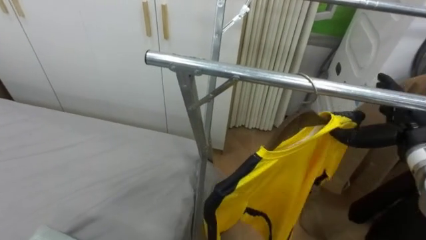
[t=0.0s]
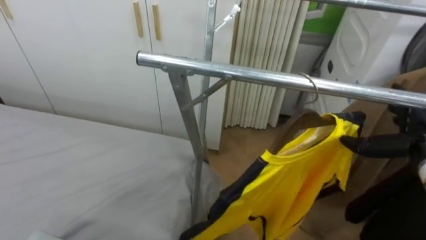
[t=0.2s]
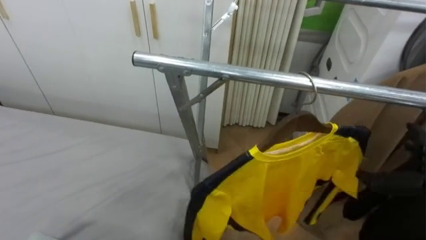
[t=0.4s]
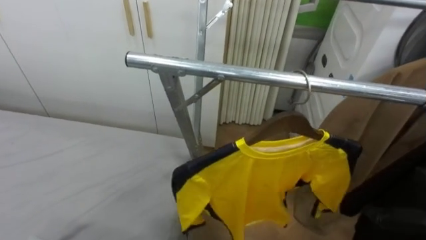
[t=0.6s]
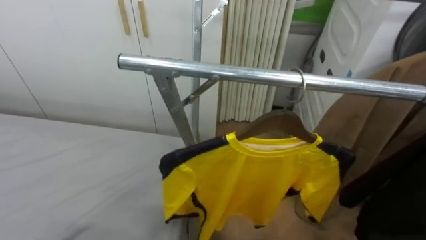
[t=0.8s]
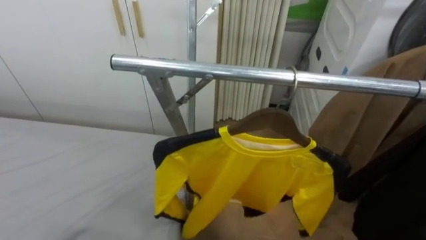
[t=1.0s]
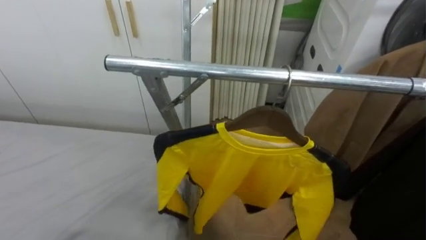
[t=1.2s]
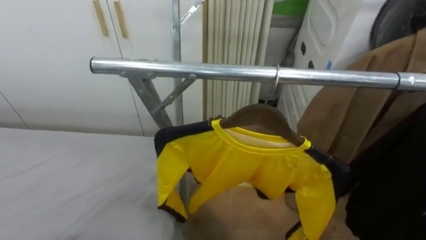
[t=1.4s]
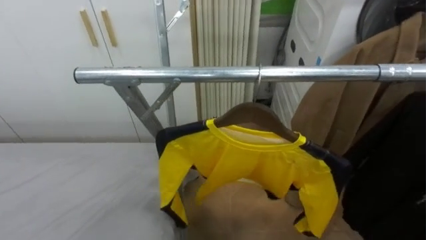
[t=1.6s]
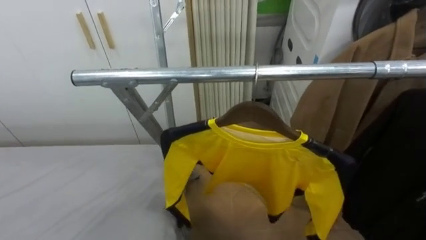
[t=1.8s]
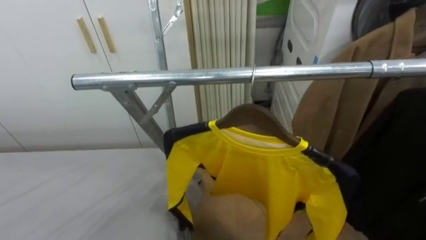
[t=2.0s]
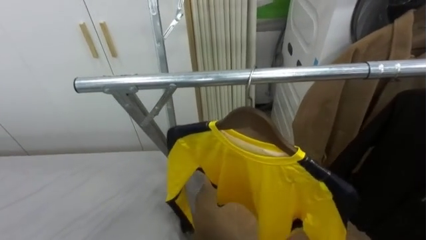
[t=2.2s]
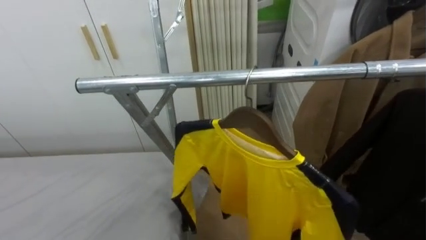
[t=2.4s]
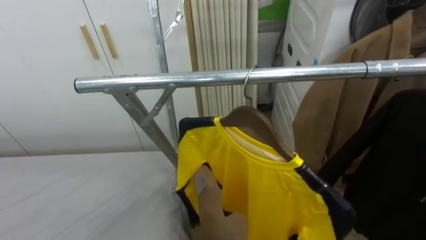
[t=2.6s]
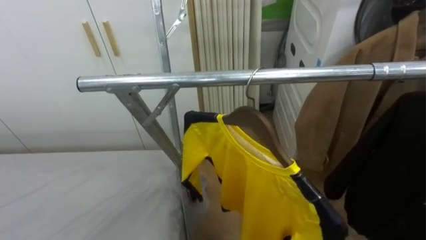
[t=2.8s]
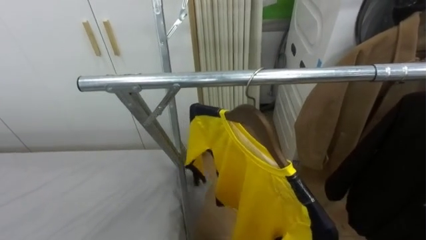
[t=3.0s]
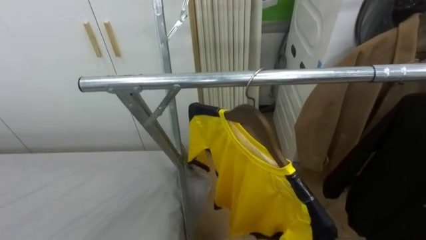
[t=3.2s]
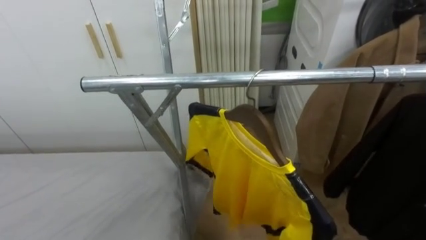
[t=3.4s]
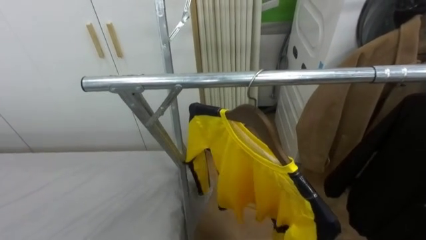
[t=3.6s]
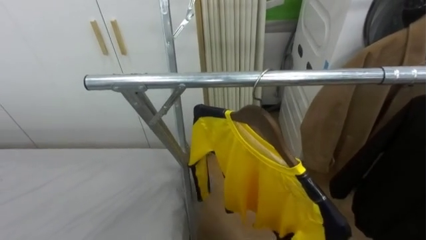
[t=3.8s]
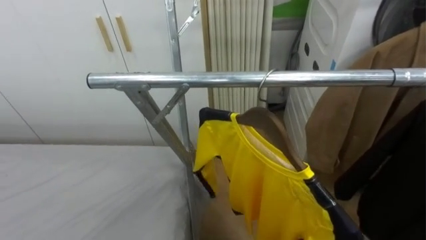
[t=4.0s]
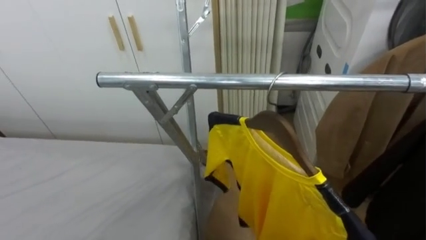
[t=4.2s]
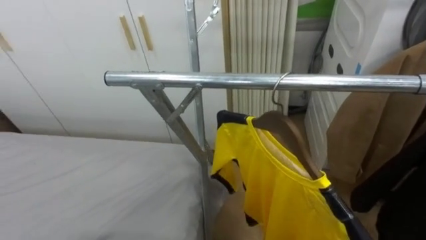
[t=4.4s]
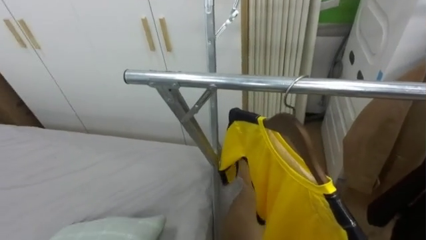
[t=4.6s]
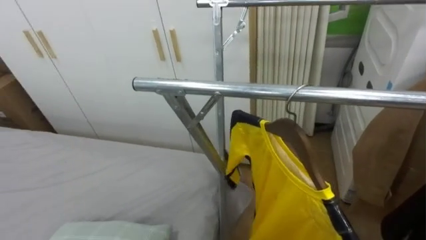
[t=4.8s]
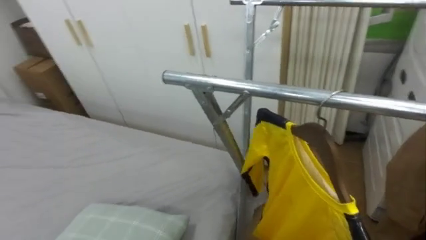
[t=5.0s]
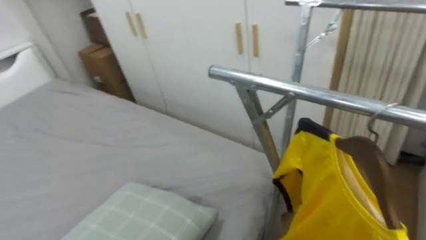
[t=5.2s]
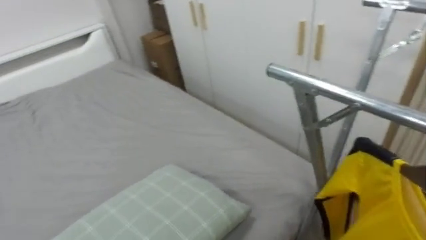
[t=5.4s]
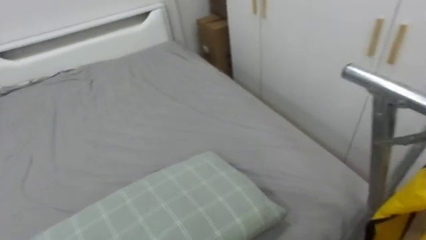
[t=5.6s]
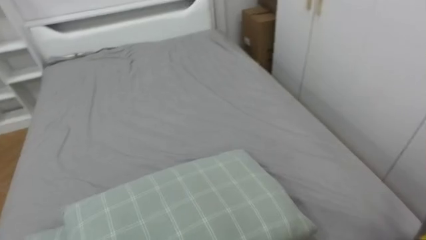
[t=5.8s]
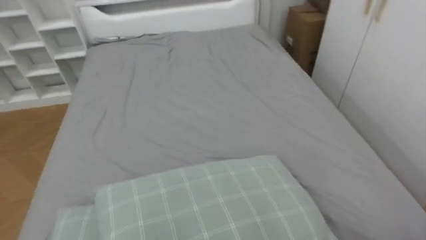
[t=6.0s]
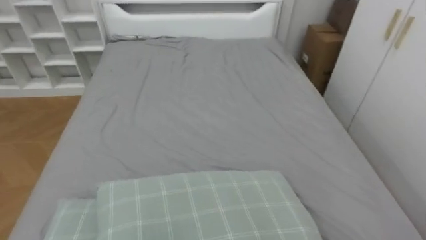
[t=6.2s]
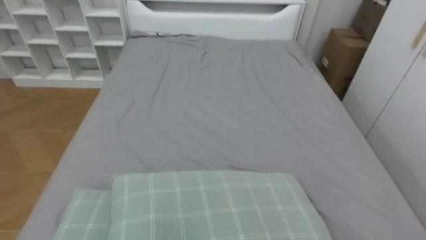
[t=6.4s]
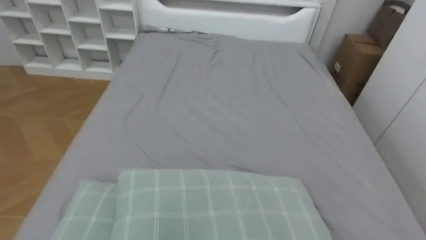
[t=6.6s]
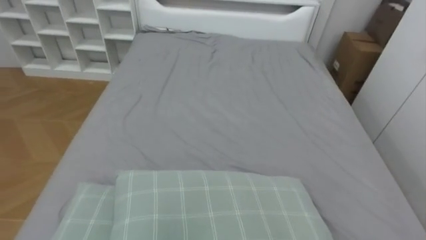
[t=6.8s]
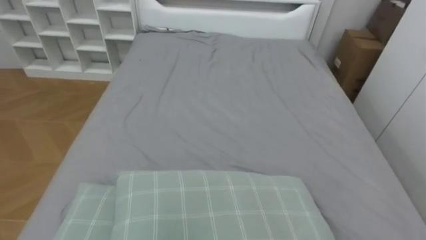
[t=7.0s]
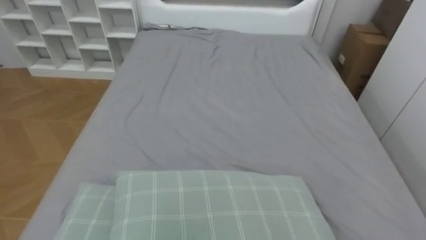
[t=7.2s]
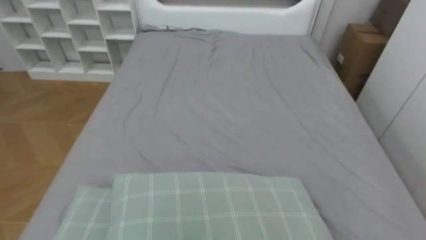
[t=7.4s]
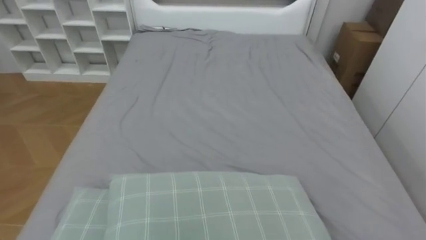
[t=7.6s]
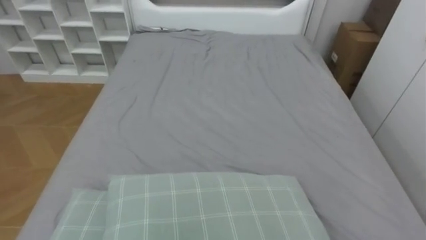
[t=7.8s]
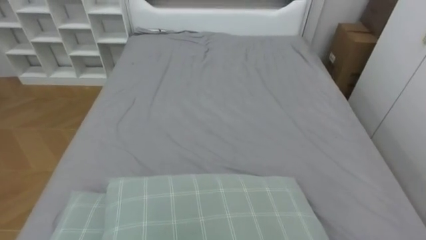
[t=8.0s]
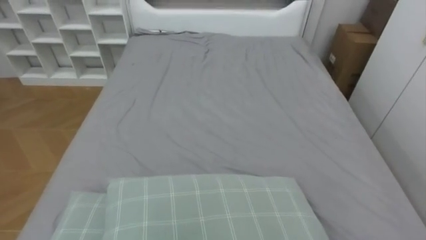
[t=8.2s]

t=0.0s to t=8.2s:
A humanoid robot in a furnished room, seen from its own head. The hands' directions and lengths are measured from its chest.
Task of the whole recording: Pick up the yellow shirt on the bed and hang it on the clothes rack on the right.
t=5.0s to t=6.6s: The robot turns to its left by about 75 degrees.

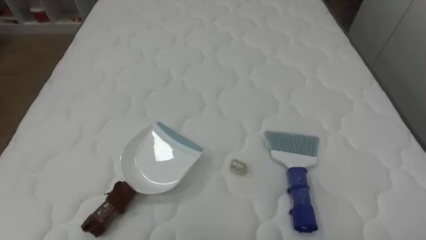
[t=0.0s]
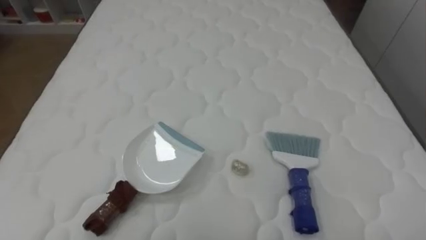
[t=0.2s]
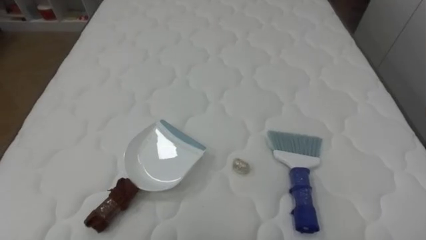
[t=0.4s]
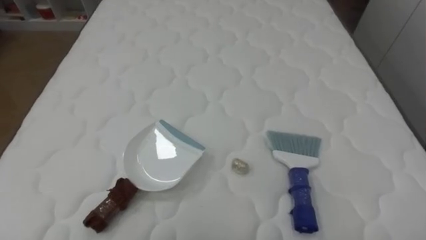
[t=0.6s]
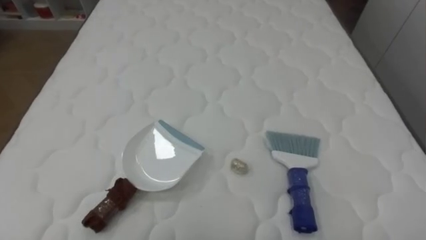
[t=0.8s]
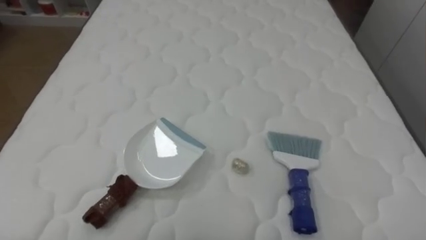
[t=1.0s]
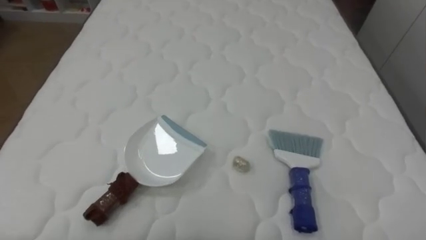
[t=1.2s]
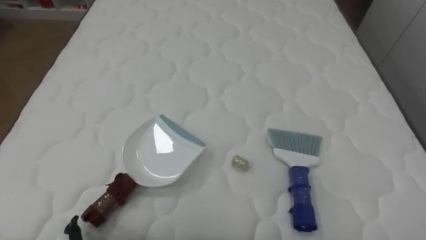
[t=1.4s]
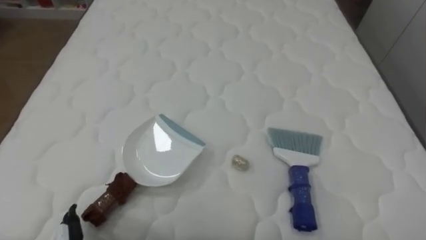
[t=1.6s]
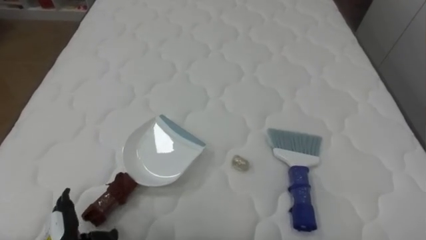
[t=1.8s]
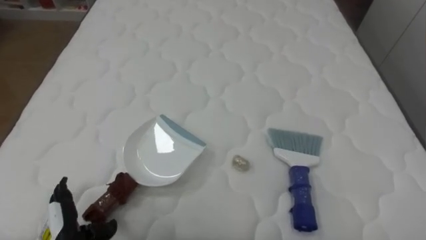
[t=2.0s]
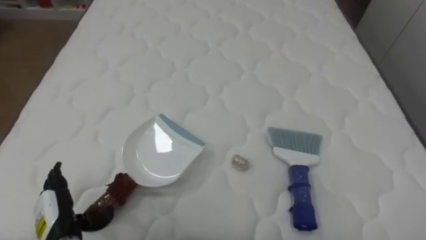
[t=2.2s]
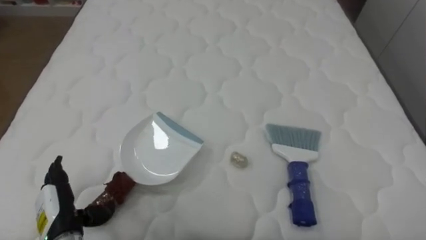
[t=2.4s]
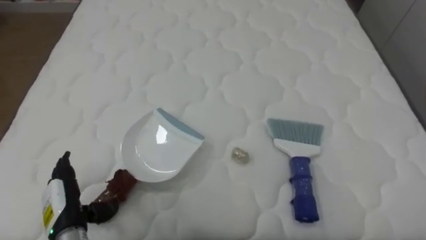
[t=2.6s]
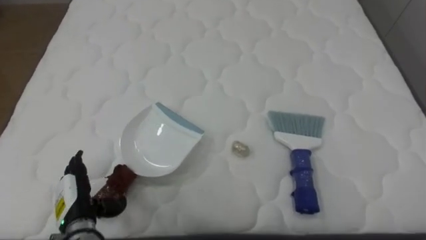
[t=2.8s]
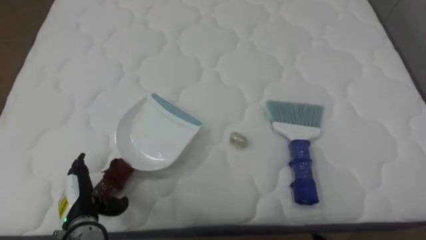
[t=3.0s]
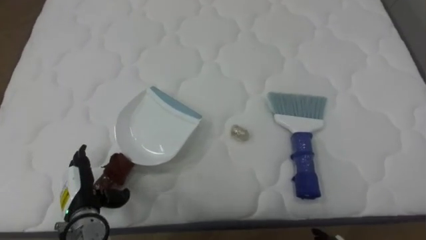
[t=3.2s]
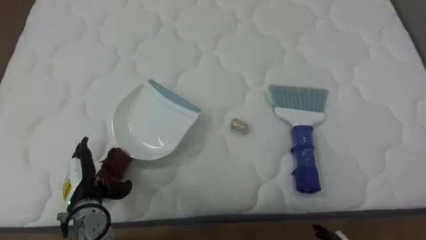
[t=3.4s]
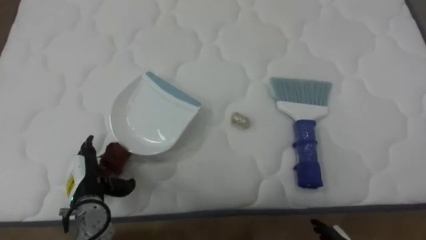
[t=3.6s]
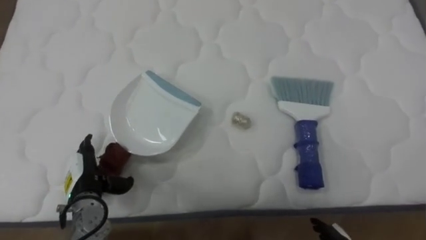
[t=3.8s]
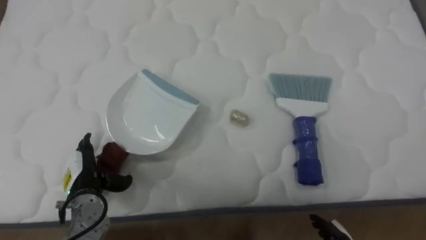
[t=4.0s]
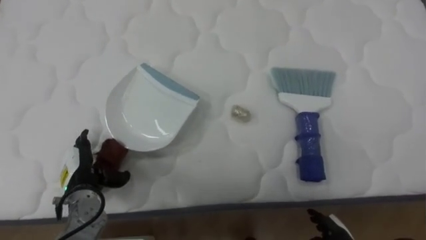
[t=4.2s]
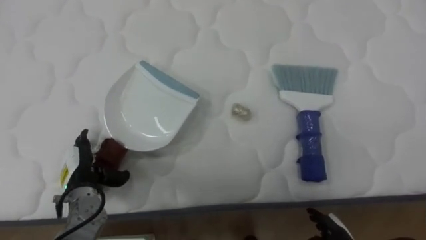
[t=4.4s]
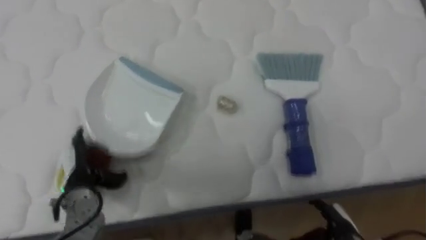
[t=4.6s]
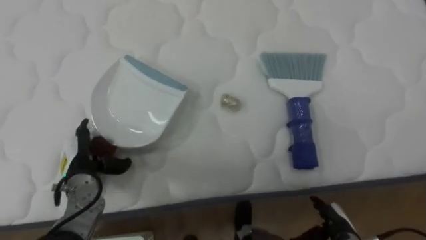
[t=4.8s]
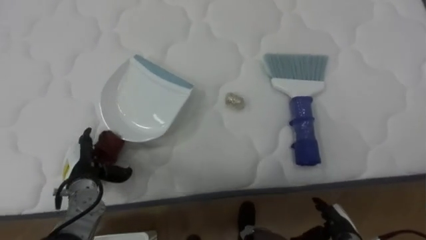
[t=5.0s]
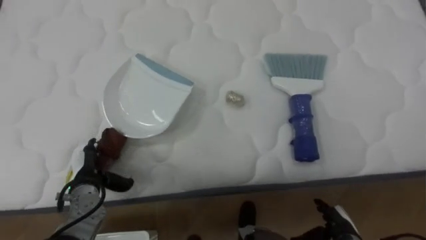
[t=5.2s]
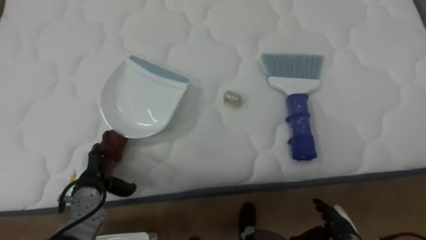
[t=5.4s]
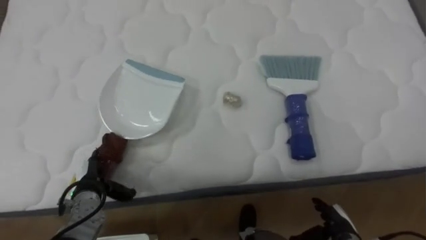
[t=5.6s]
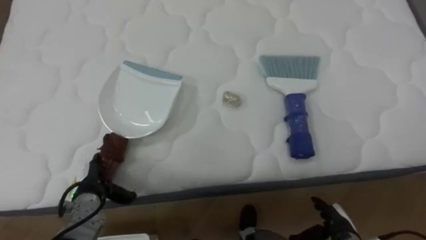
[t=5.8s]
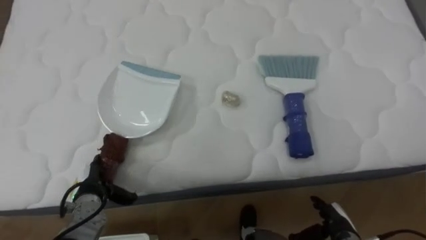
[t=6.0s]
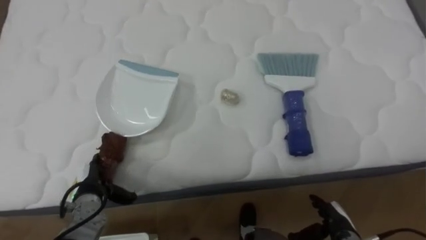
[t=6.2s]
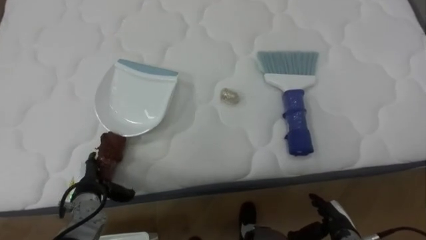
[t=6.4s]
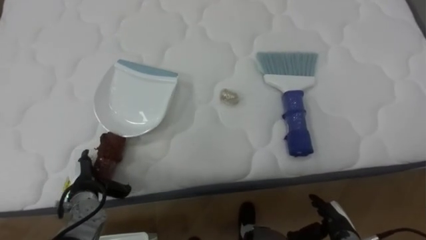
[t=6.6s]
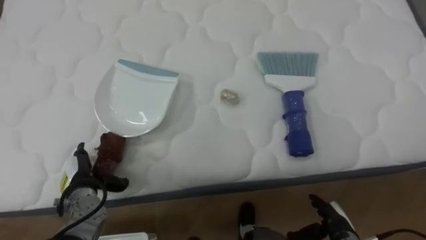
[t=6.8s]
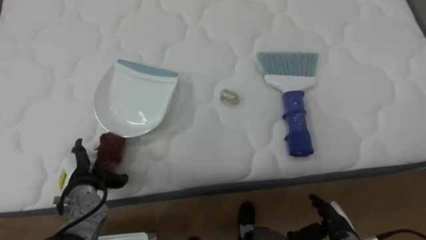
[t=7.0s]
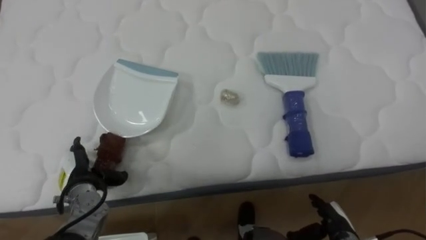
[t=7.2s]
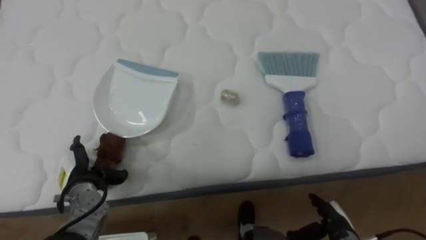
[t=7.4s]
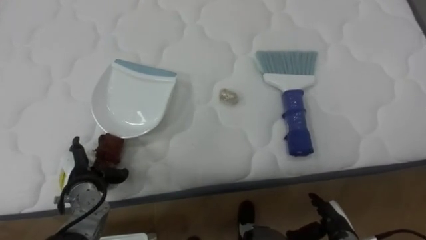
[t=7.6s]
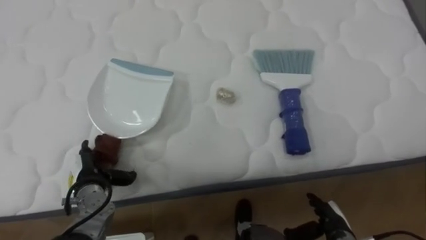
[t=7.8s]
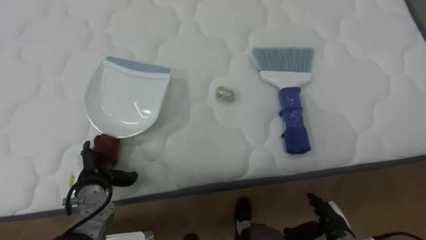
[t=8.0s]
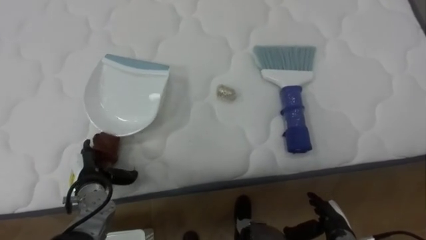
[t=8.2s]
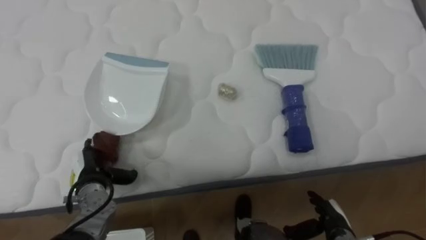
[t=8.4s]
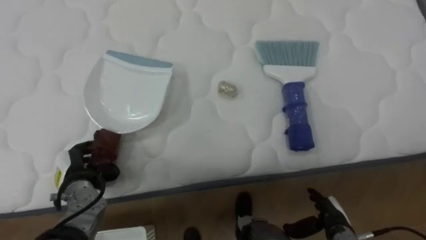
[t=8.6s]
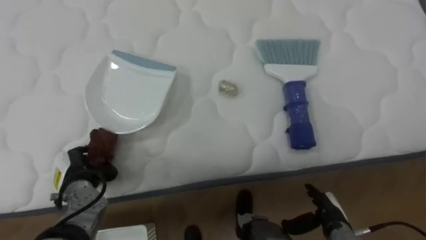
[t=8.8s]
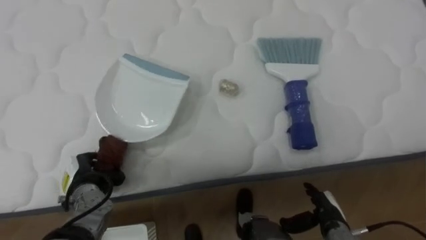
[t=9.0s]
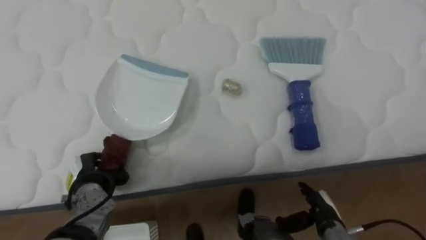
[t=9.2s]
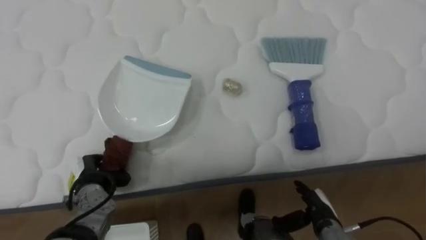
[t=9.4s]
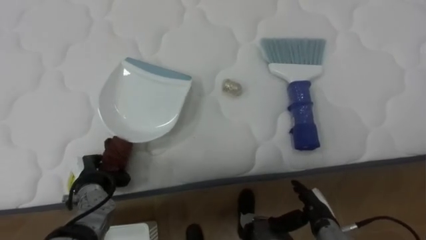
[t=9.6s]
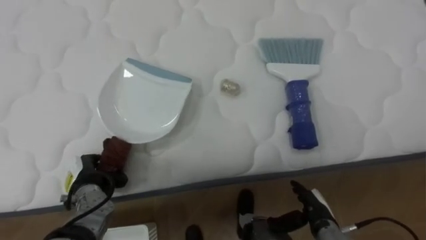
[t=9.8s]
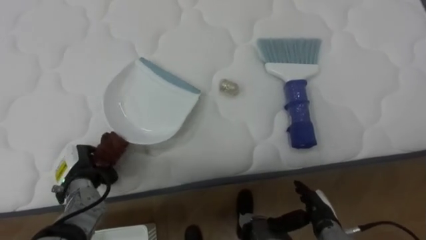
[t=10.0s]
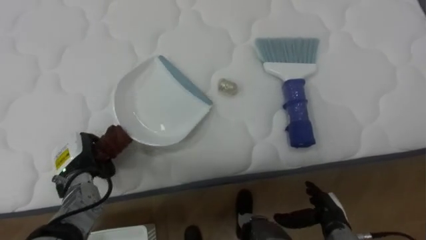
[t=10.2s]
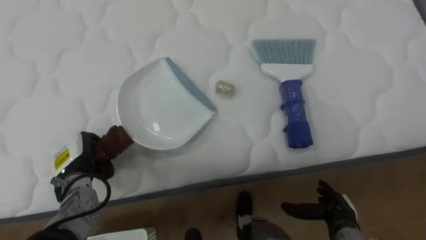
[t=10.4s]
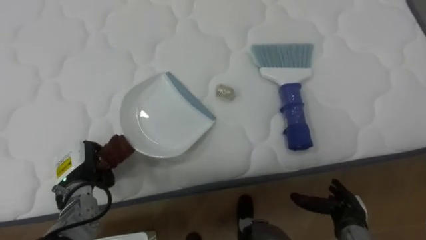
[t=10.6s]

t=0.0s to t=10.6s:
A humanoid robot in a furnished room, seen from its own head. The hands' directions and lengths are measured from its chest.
Task of the whole recording: Pick up the brush on your right and the dustpan on your left. Use the brush to sweep the crumpled paper on the bed into the dustpan, then turn left and empty it into the basket.
t=3.0s to t=4.6s: The left hand heads forward, covering some 5 cm.
t=4.6s to t=6.0s: The left hand shifts by some 5 cm.
t=6.0s to t=7.6s: The hands make only small movements.
t=7.6s to t=9.0s: The left hand closes.
